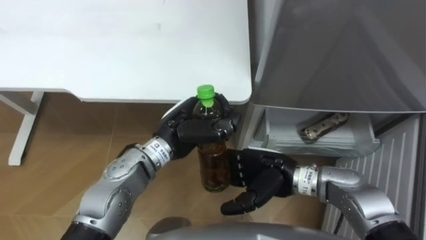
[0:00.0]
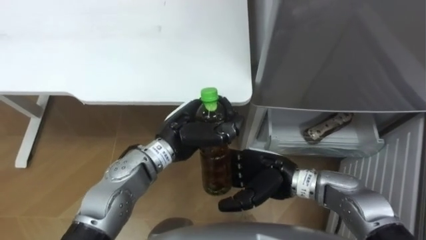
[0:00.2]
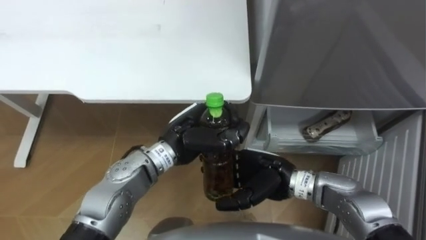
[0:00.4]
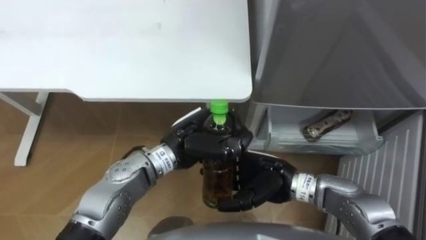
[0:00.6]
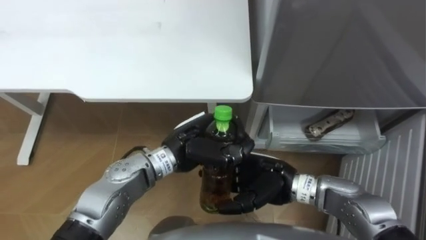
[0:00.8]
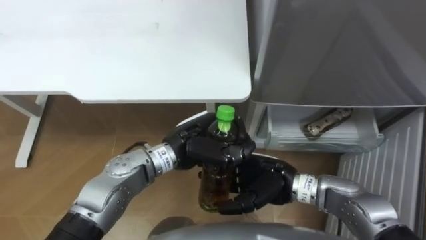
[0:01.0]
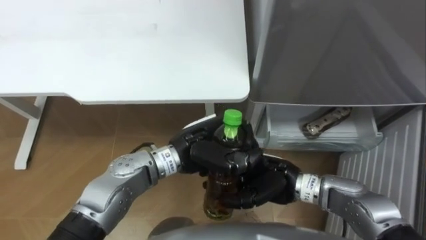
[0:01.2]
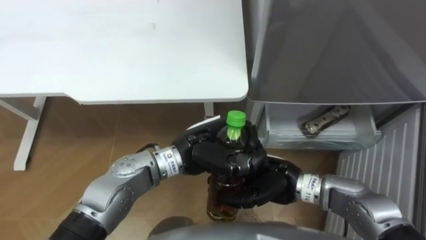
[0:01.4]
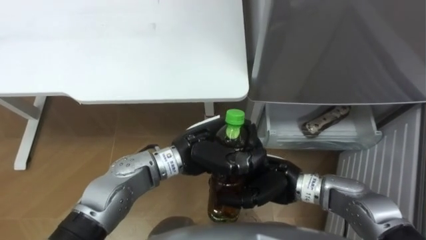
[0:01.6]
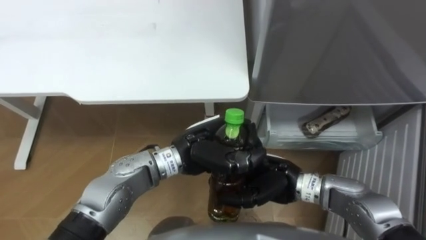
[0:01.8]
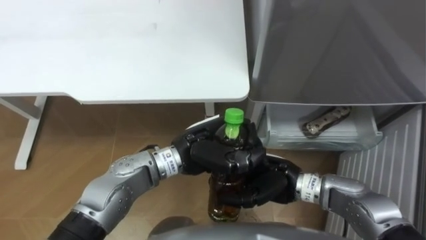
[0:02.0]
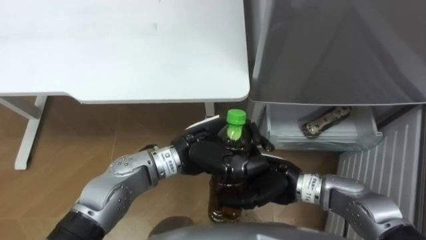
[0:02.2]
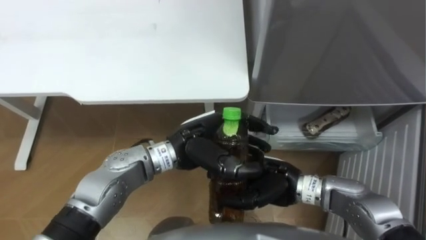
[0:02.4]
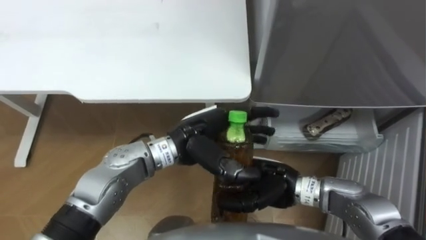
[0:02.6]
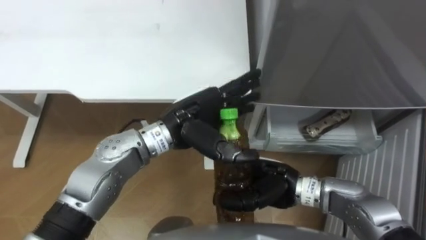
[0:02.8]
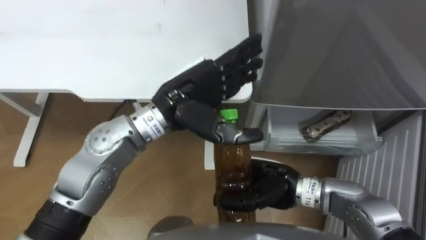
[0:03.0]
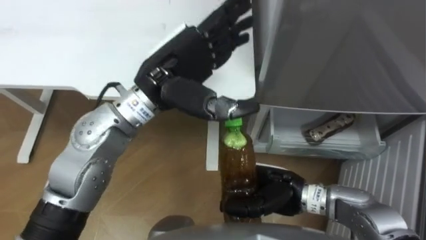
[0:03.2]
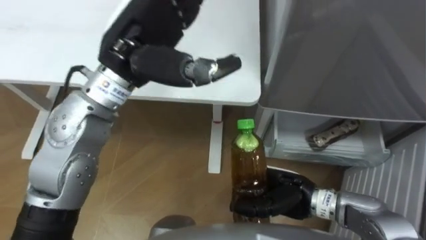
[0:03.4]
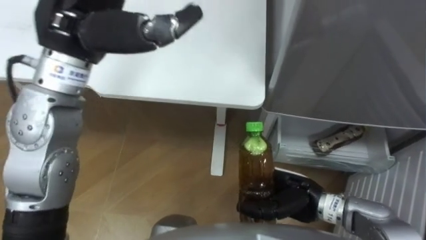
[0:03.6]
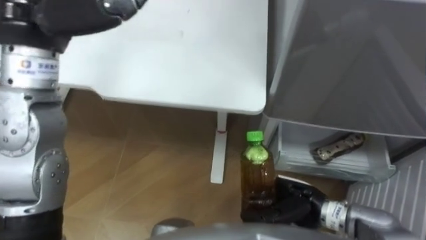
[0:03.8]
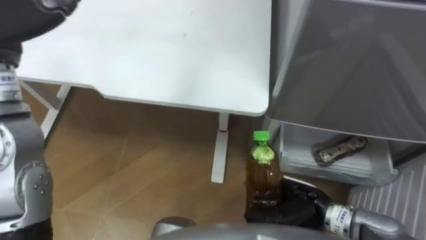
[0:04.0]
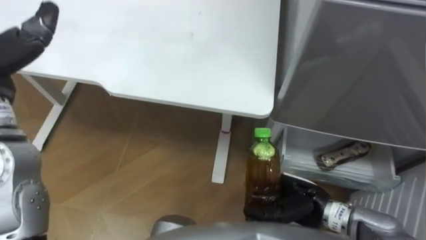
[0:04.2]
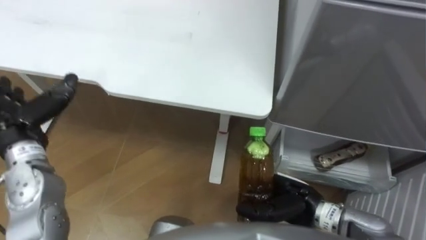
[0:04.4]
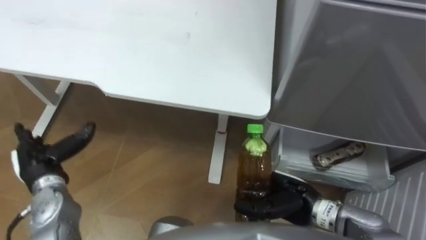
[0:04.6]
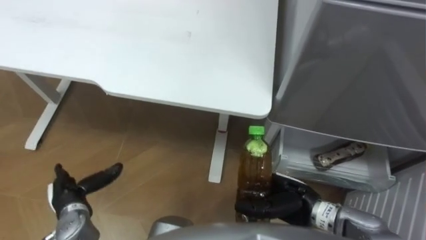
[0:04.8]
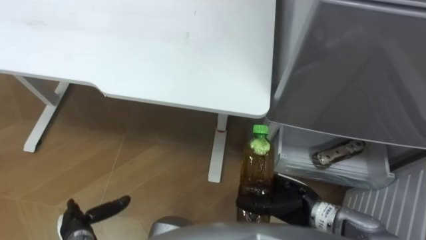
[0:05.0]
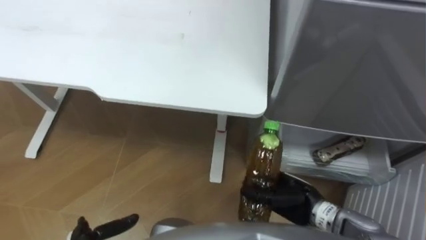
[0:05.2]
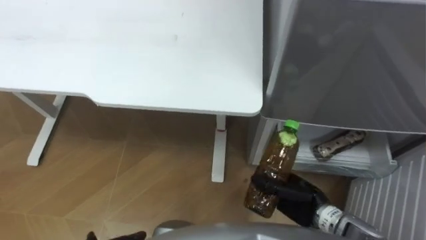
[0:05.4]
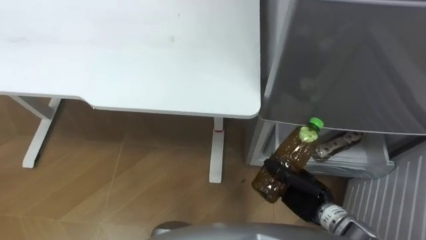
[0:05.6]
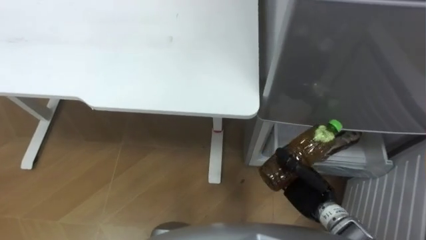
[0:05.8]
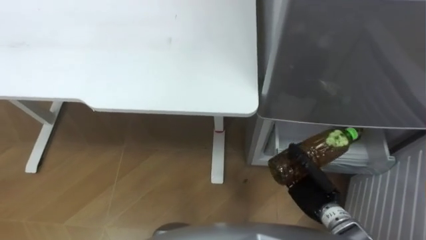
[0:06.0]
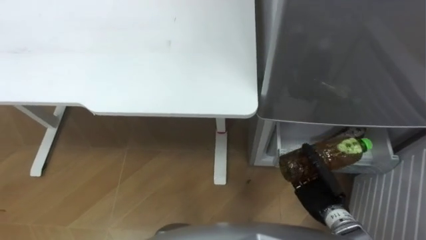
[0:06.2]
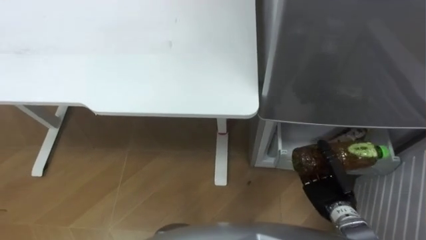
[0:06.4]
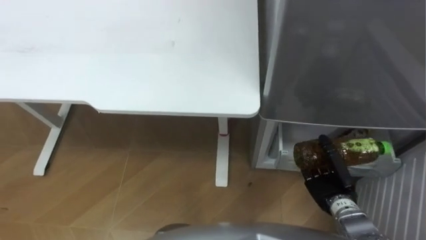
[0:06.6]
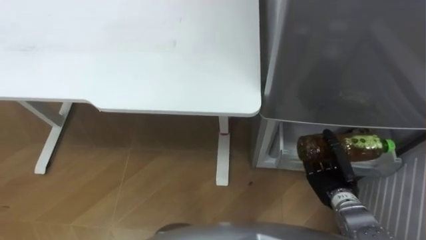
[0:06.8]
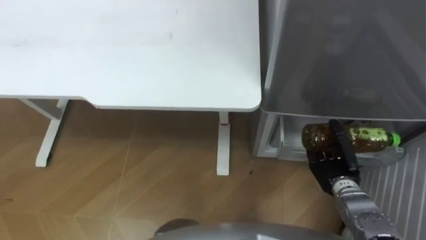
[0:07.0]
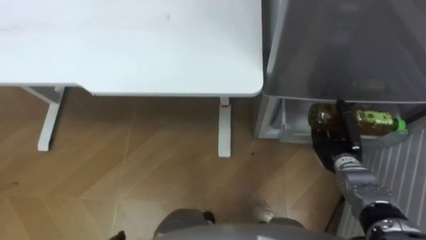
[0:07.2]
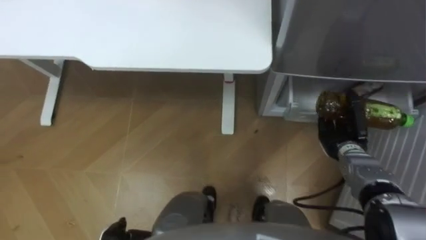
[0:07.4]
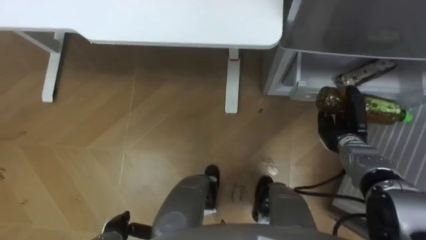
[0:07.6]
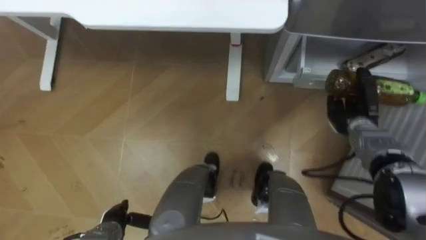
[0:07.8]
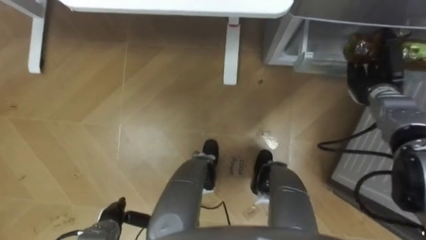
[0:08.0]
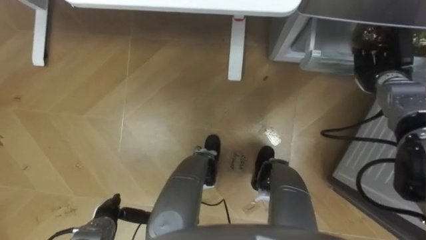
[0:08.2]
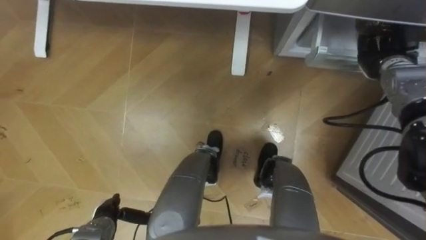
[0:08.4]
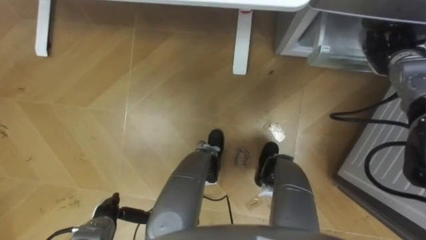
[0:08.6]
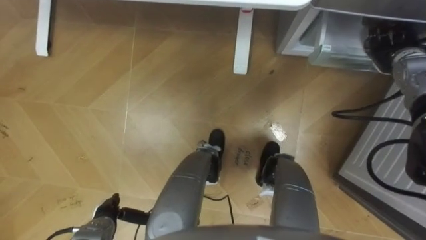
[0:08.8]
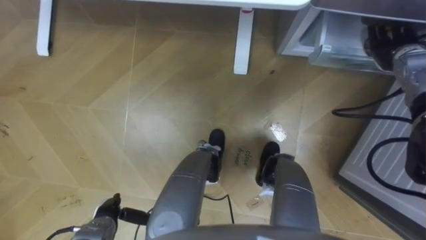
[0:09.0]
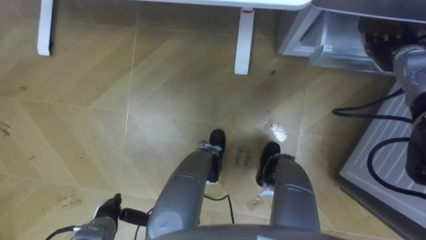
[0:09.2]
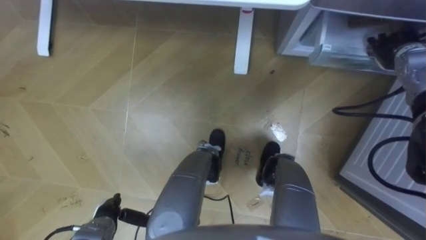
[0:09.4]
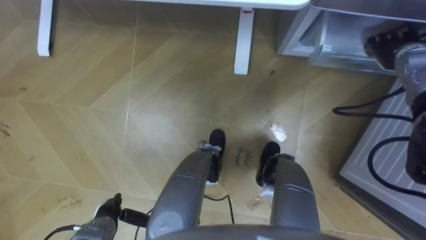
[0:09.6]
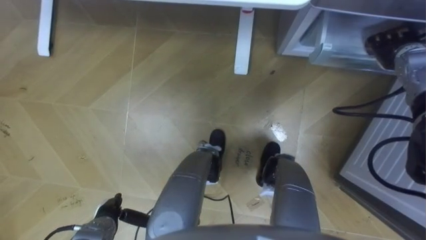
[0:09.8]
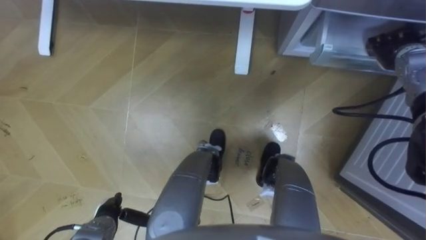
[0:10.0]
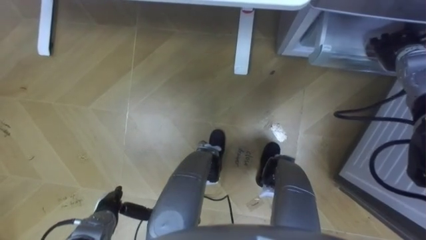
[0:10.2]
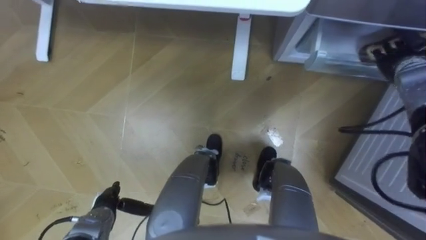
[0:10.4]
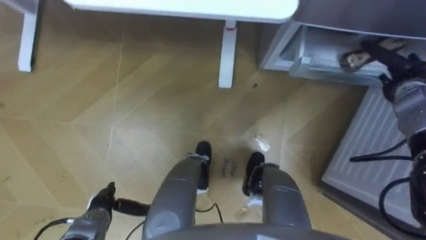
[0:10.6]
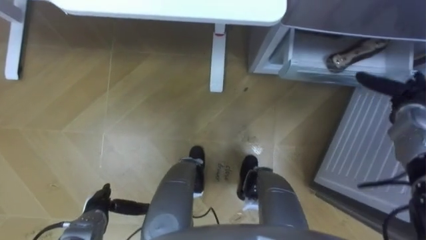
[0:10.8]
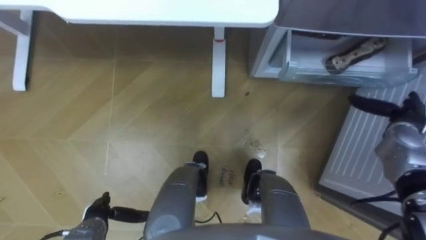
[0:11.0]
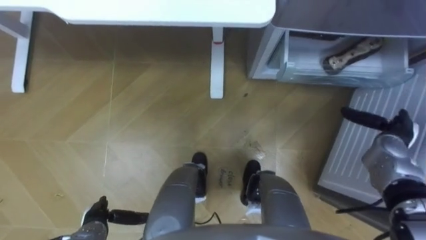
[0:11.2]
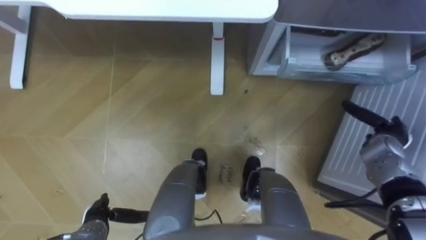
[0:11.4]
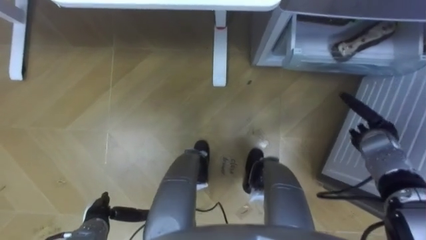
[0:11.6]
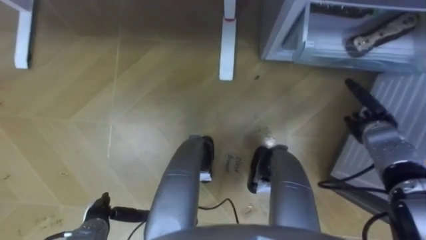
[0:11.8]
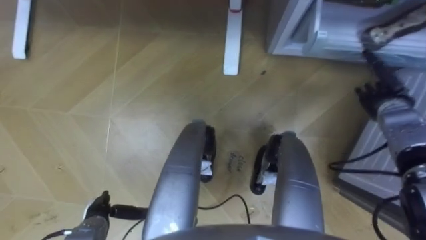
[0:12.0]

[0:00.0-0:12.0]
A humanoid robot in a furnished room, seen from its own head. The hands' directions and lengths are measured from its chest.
Task of the whole recording: Place the drink on the table on the bottom shelf of the refrigerator, then close the drawer and the refrigerator door.
0:00.0 to 0:01.6: The right hand closes up; the left hand ends up roughly 5 cm from where it was.
0:01.6 to 0:03.0: The left hand heads upward, covering approximately 10 cm, and opens up.
0:03.0 to 0:04.4: The right hand heads to the right, covering approximately 5 cm.
0:04.4 to 0:06.0: The right hand moves to the right and downward, about 10 cm.
0:06.0 to 0:07.6: The right hand goes approximately 15 cm forward and to the right.
0:07.6 to 0:09.0: The right hand heads upward, forward and to the right, covering some 20 cm.
0:10.4 to 0:12.0: The right hand is displaced downward and backward by some 10 cm.

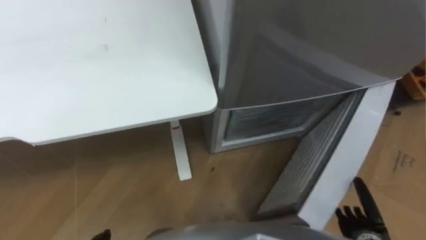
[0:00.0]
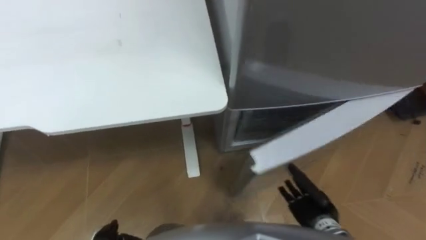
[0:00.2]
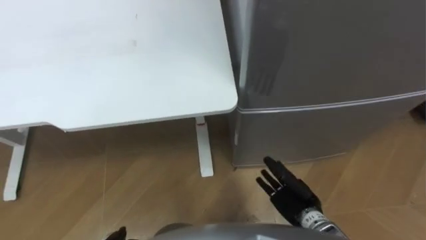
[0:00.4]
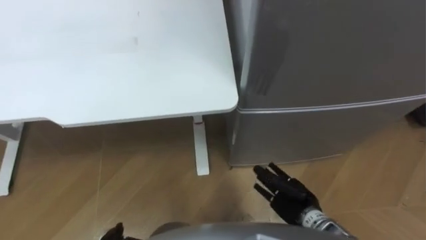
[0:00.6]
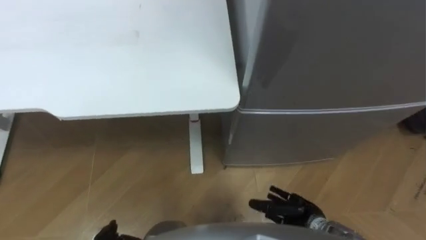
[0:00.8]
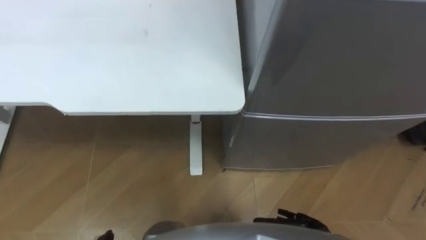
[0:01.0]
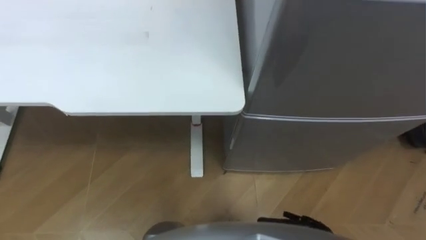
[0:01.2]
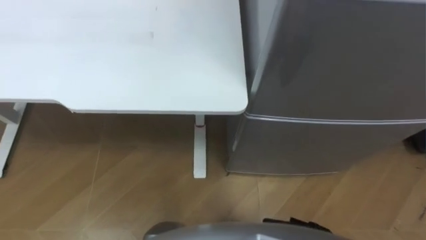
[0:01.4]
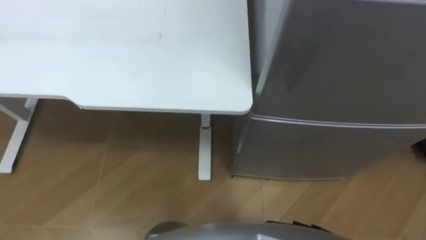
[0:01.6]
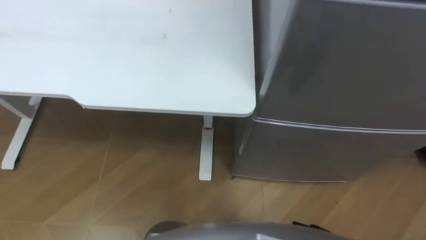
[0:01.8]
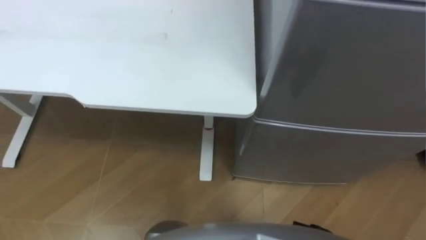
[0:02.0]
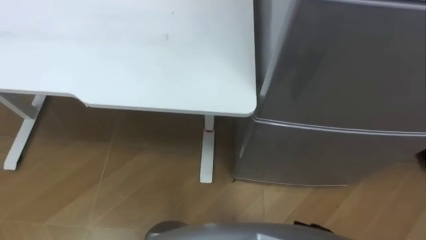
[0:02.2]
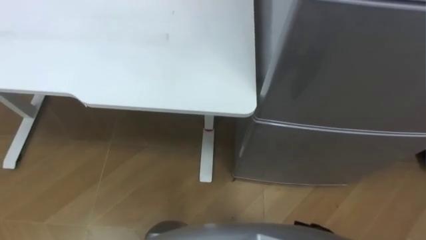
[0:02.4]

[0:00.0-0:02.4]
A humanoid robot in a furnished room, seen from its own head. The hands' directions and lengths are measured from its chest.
Task of the whole recording: Place the drink on the table on the bottom shelf of the refrigerator, then close the drawer and the refrigerator door.
0:00.0 to 0:01.2: The right hand heads to the left, covering approximately 10 cm.

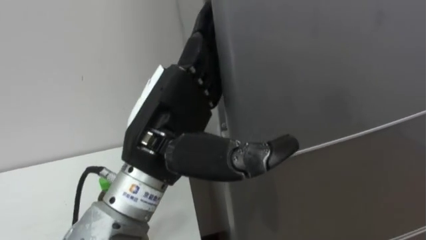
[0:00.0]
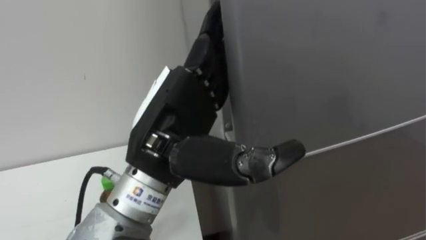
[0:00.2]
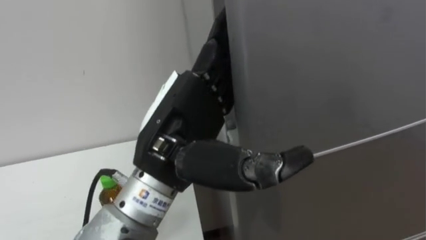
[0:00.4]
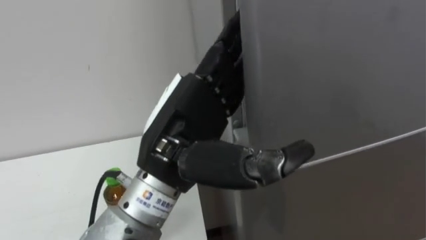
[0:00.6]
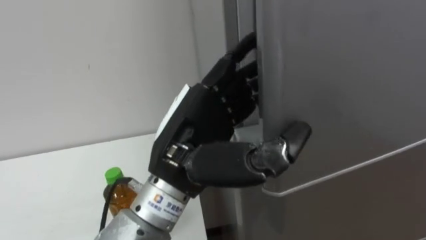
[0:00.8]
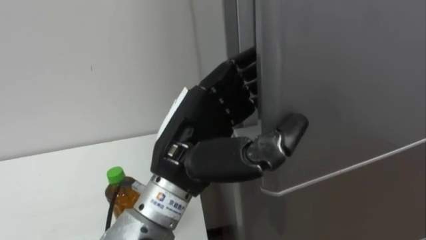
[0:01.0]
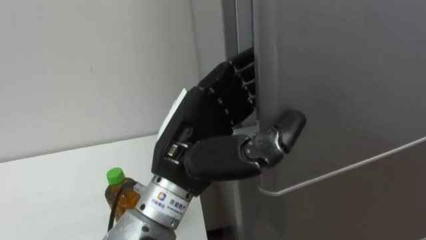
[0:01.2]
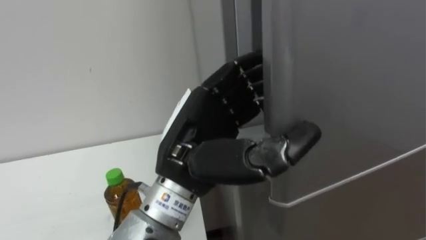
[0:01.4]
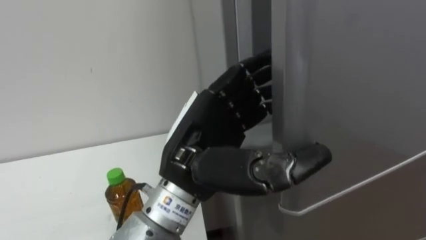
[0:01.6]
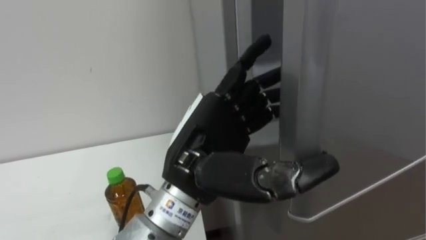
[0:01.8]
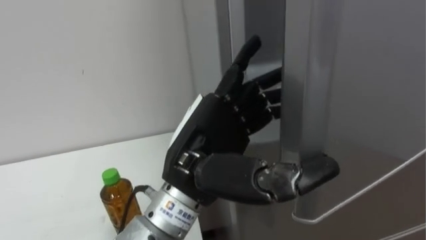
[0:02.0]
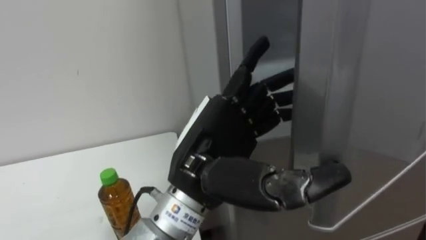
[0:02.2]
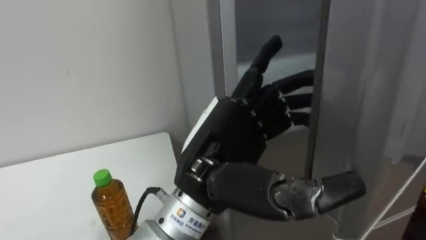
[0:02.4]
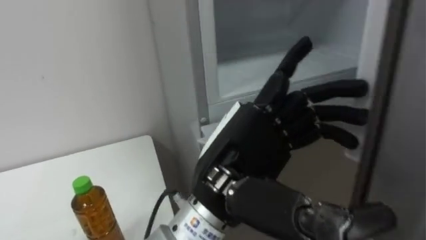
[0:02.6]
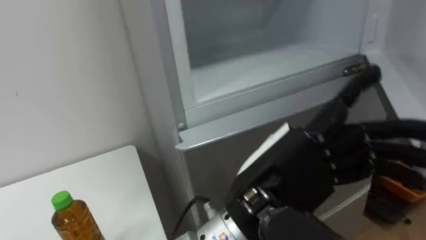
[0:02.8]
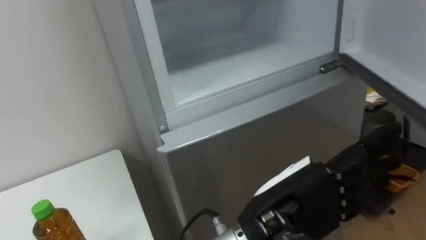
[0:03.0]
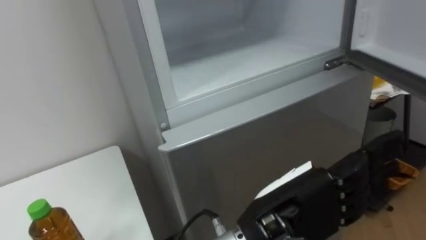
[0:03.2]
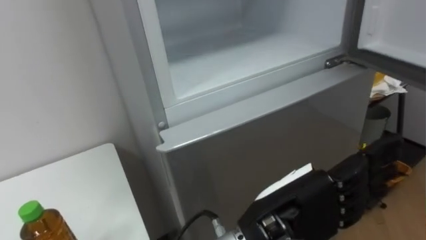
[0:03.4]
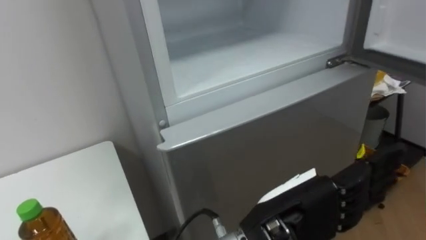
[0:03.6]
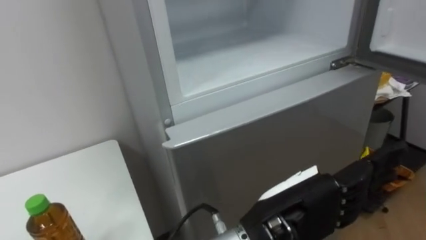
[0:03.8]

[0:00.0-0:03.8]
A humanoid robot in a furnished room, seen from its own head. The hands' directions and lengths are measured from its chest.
Task of the whole recording: Open the upper refrigerator door, put the drink from the table into the refrigerator, and then close the refrigerator door.
0:00.0 to 0:01.2: The left hand closes up.
0:01.2 to 0:02.6: The left hand changes place by some 5 cm, and opens.
0:02.6 to 0:03.8: The left hand is displaced to the right and downward by some 10 cm.
